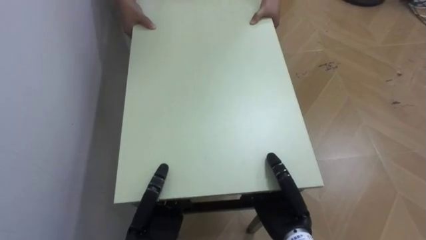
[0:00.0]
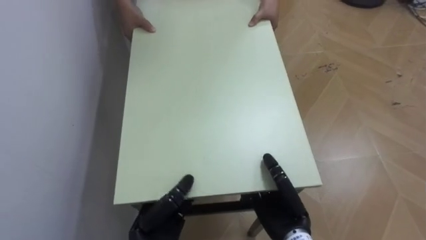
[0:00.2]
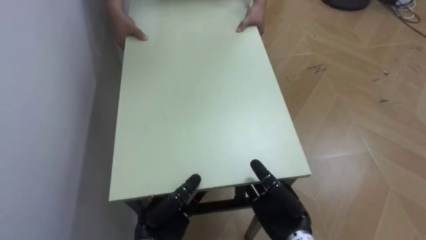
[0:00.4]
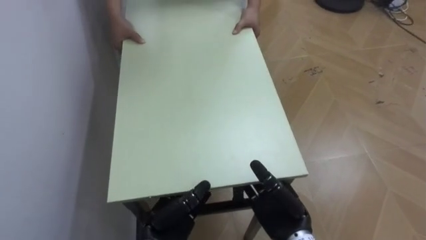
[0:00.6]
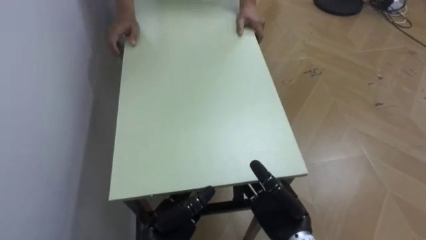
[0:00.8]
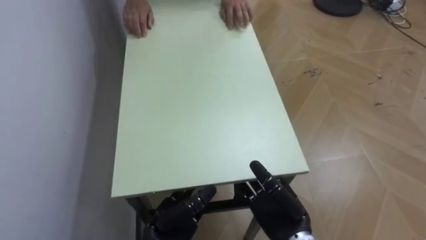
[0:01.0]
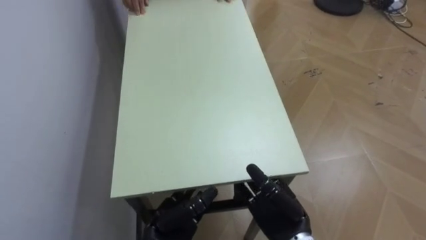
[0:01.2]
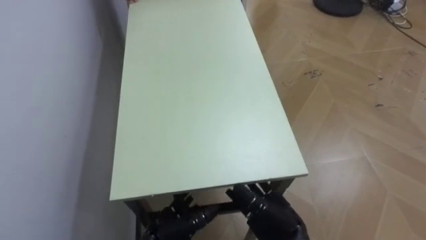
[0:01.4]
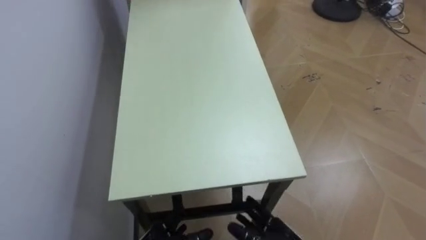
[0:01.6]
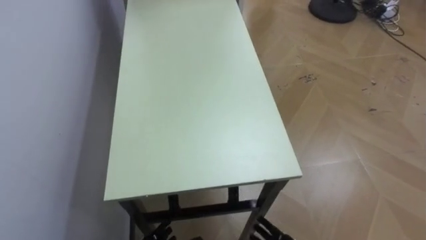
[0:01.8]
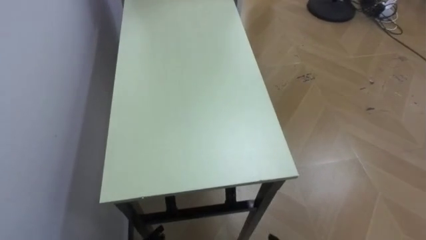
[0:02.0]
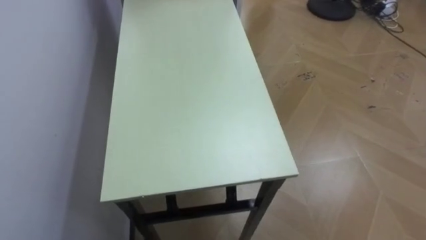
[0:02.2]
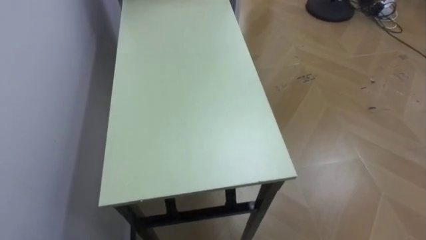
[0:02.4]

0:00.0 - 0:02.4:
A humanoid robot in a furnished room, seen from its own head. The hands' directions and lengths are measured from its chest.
Task of the whole recording: Move the table to the back left with someone.
0:00.0 - 0:01.2: The right hand opens up, while the left hand opens.
